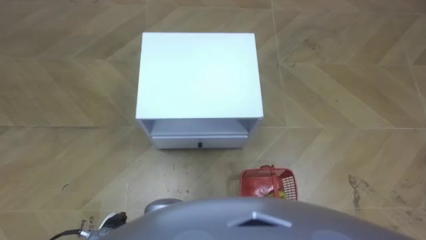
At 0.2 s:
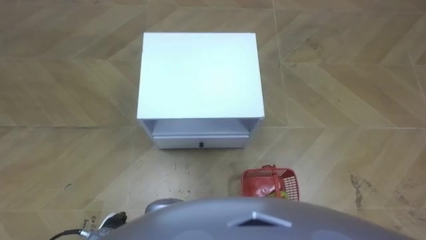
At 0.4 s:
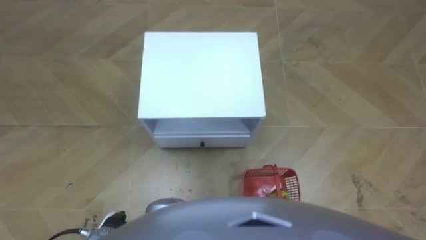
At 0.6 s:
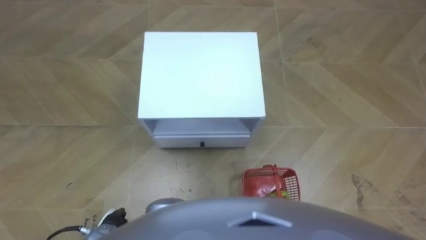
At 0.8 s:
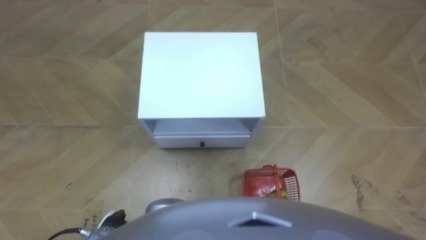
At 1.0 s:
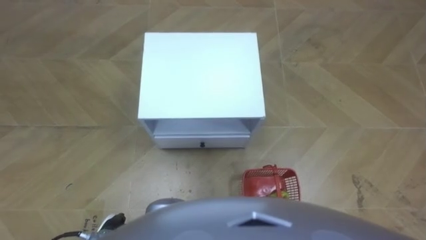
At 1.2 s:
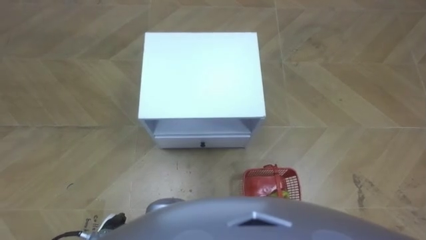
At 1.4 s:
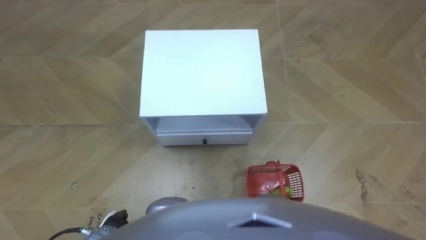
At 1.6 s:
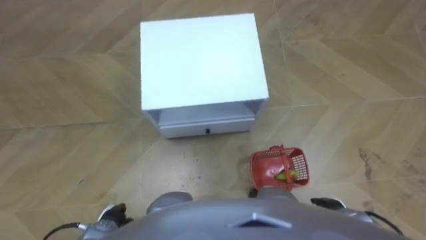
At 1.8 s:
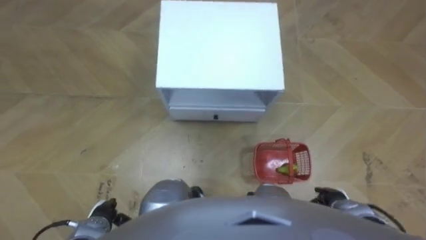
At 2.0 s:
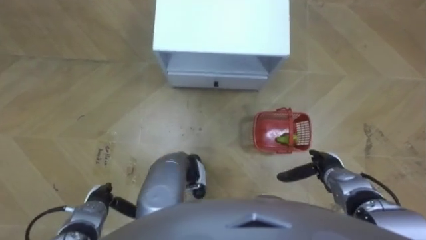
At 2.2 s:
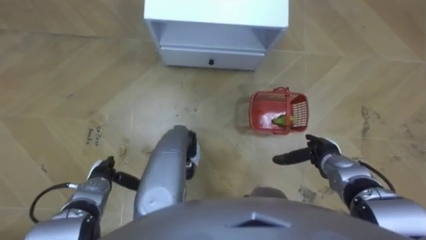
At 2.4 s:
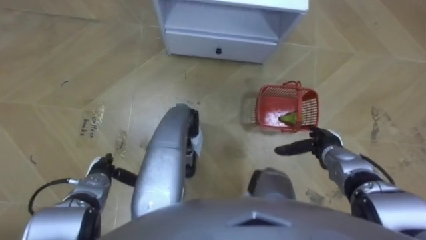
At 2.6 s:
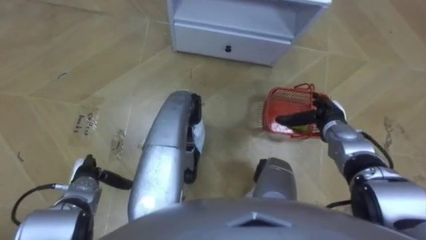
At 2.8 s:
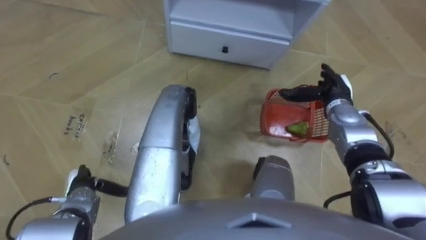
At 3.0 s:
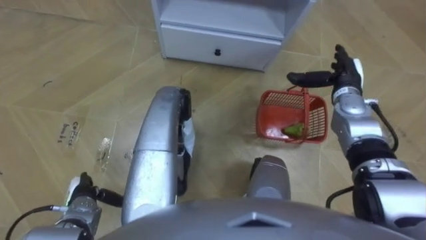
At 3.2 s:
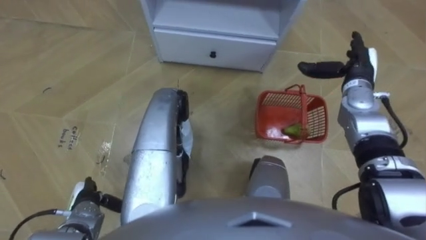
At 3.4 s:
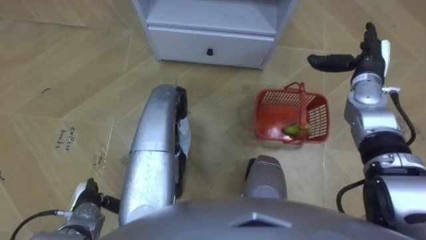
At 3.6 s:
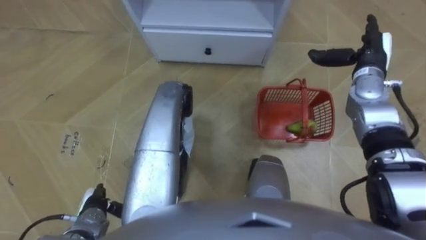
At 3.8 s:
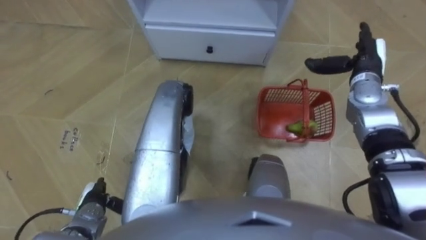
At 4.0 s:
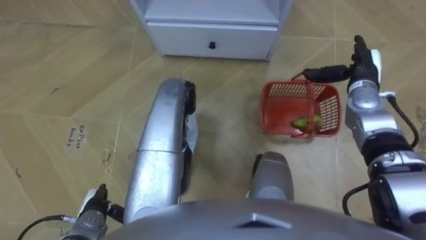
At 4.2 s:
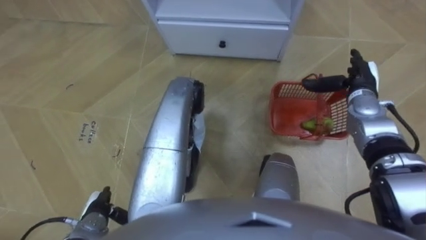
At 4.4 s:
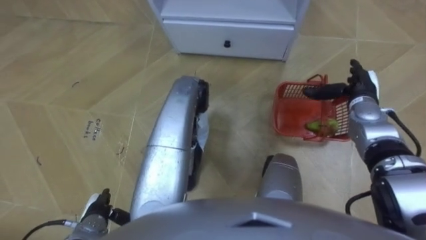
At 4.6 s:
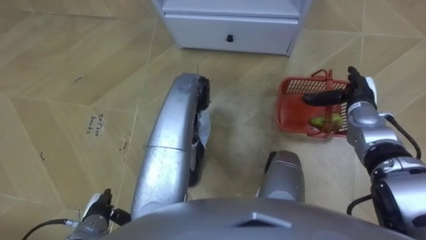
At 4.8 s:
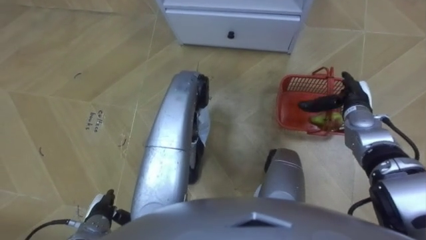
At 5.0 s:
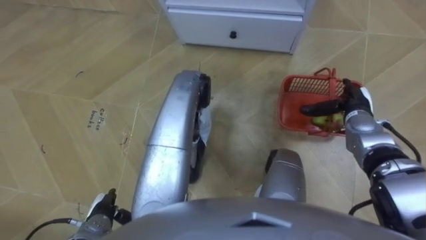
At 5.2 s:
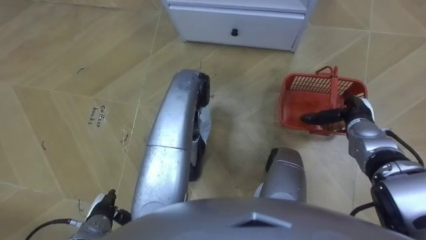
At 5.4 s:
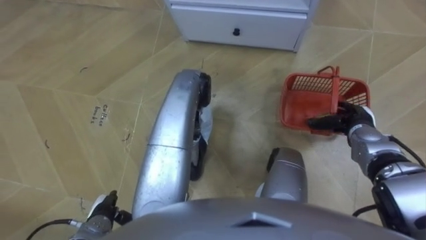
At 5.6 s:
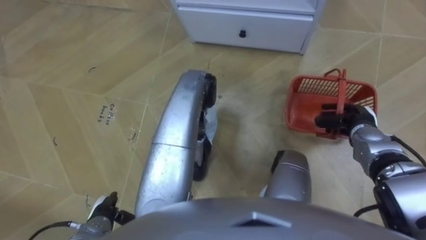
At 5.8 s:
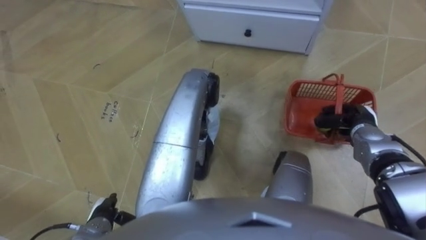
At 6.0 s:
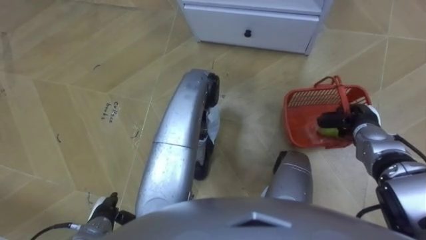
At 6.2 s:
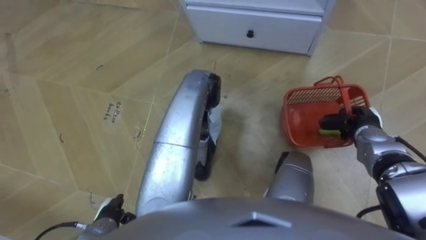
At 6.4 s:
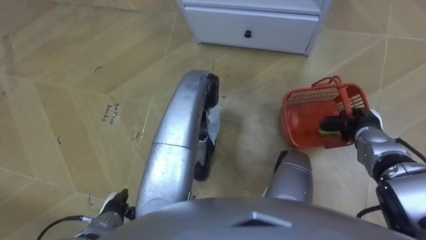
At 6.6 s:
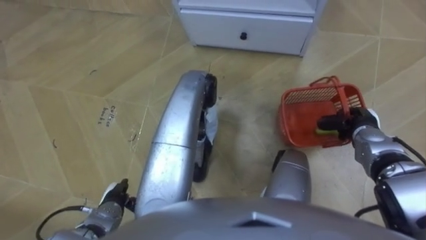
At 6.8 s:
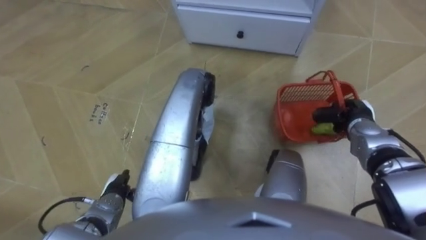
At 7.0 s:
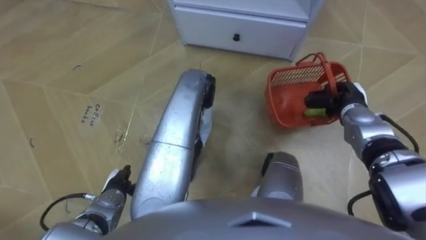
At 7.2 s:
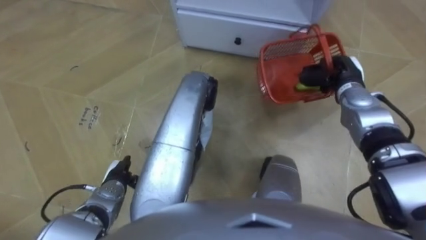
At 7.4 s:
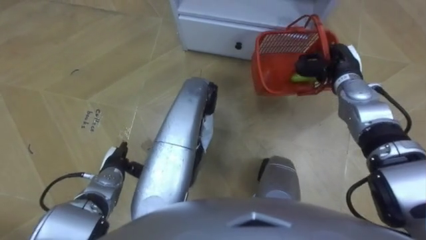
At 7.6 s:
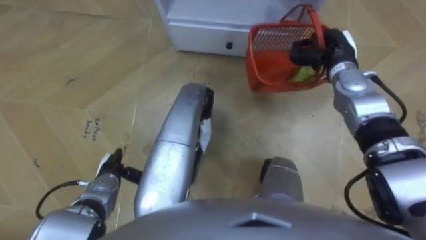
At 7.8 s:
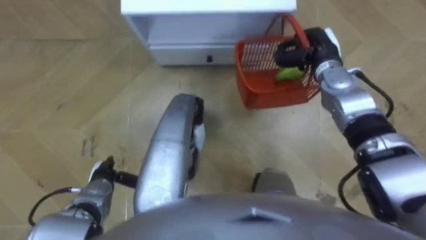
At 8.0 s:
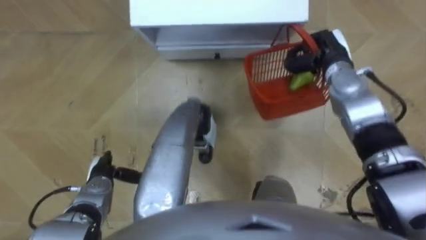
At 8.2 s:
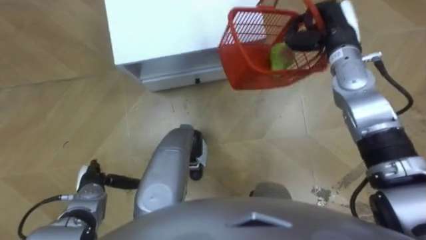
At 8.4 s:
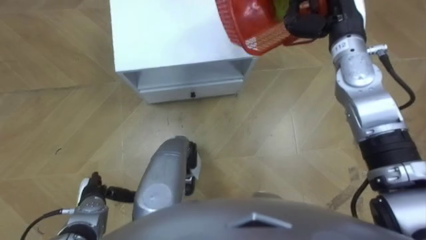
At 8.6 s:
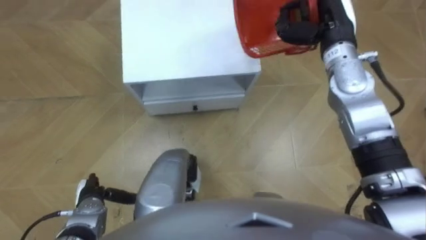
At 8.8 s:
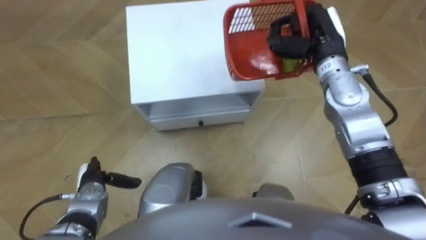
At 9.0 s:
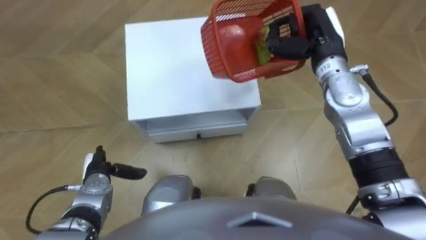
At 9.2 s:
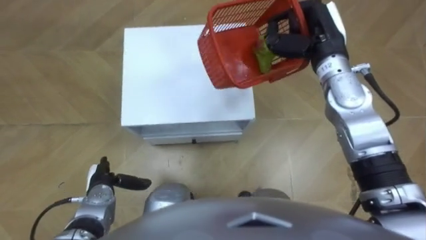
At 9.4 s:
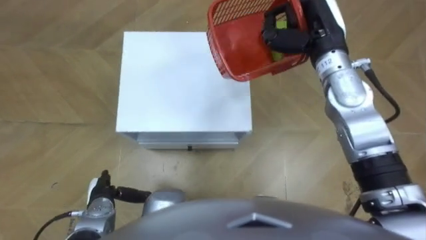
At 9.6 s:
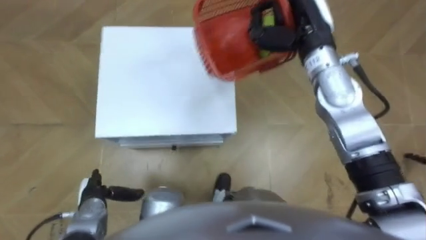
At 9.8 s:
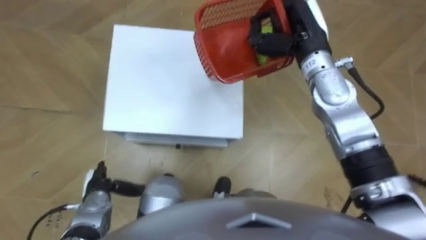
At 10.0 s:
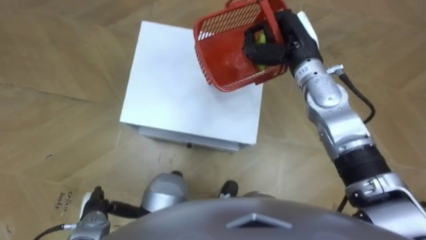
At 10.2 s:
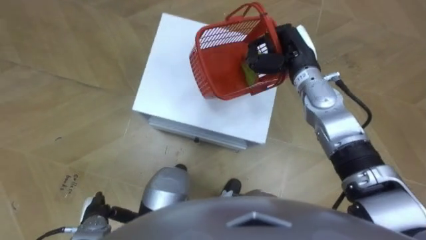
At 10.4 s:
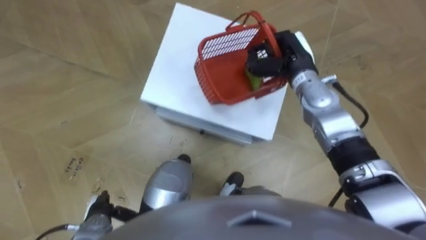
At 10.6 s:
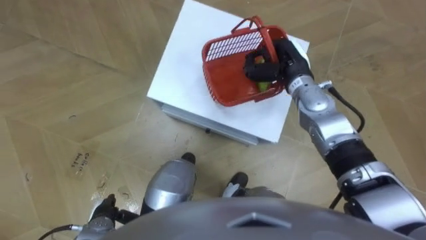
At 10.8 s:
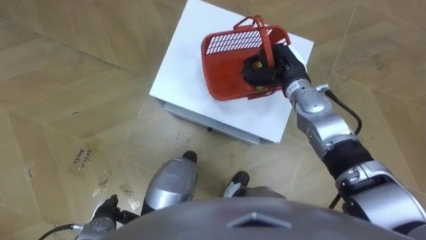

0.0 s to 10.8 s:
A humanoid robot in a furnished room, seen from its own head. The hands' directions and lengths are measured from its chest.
Task of the whole recording: Pick up the fruit basket from the floor and place it on the cabinet.
1.6 to 3.0 s: The left hand heads forward and to the left, covering approximately 10 cm; the right hand moves forward and upward, roughly 30 cm.
3.0 to 4.6 s: The left hand moves some 5 cm.
4.6 to 6.2 s: The right hand shifts roughly 5 cm backward, and closes.
6.2 to 7.8 s: The left hand heads forward, covering roughly 10 cm. The right hand travels forward, to the left and upward by roughly 20 cm.
7.8 to 9.2 s: The right hand shifts about 10 cm upward.
9.2 to 10.8 s: The right hand is displaced downward by about 10 cm. The left hand is displaced backward by about 10 cm.

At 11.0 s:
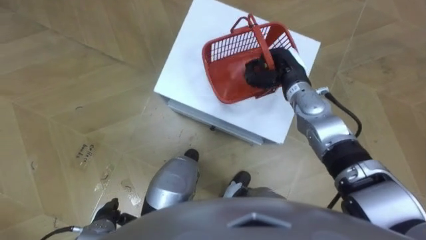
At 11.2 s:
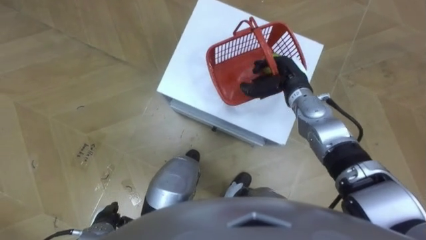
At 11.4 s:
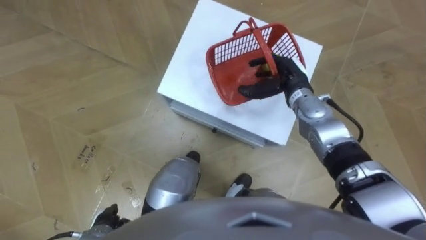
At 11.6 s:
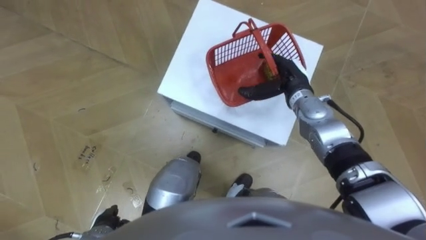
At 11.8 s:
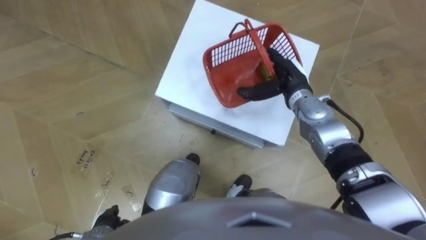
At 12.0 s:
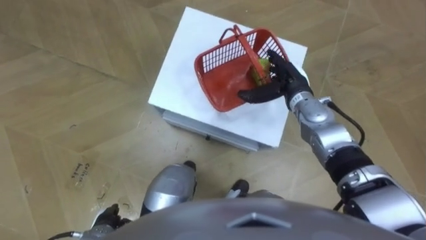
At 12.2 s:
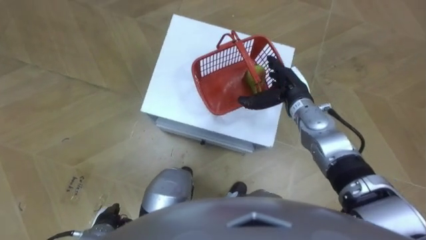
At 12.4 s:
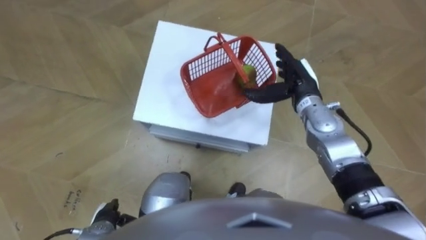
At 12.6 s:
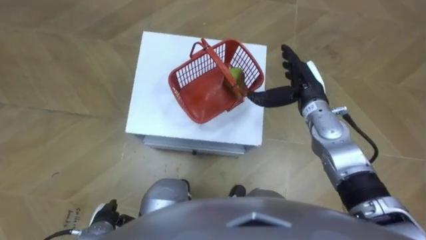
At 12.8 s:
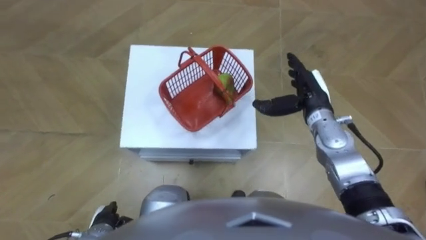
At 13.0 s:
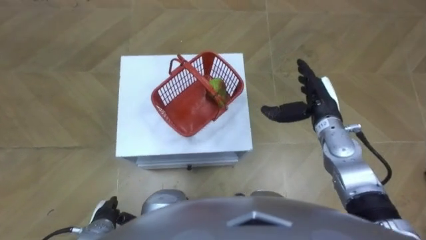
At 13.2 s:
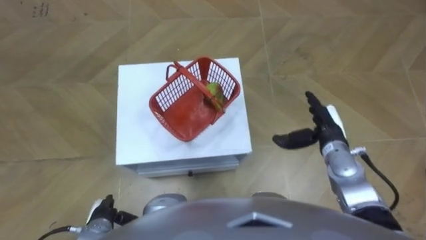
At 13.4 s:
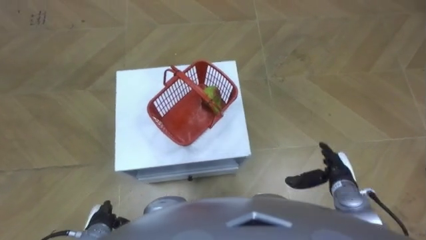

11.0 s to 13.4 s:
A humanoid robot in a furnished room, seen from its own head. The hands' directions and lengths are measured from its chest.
Task of the whole recording: Pick up the fruit basket from the floor and place it on the cabinet.
11.0 to 12.2 s: The right hand opens.
12.2 to 13.4 s: The right hand shifts roughly 20 cm backward, to the right and downward.

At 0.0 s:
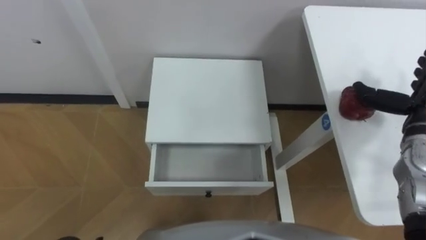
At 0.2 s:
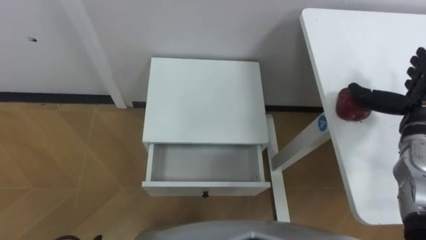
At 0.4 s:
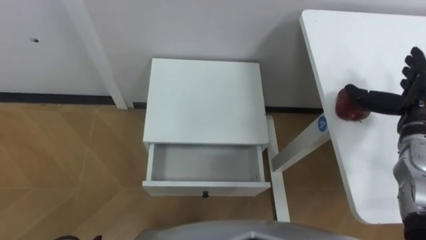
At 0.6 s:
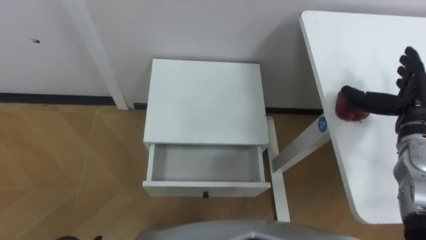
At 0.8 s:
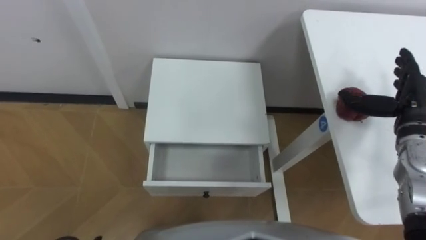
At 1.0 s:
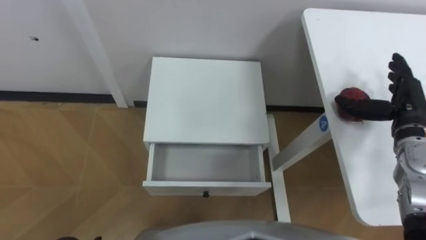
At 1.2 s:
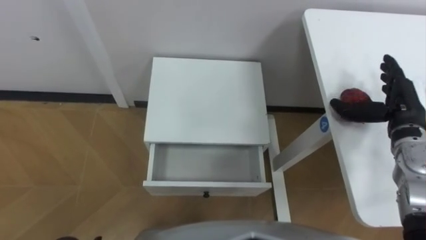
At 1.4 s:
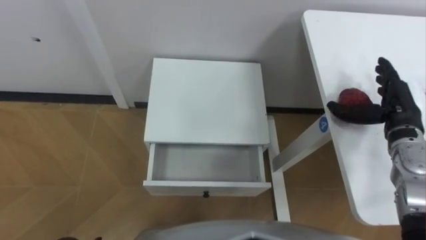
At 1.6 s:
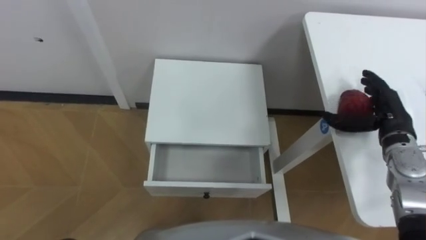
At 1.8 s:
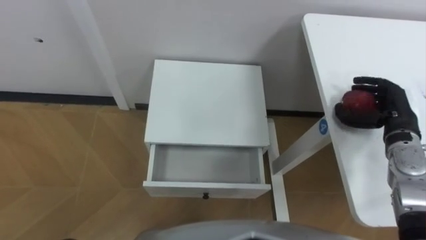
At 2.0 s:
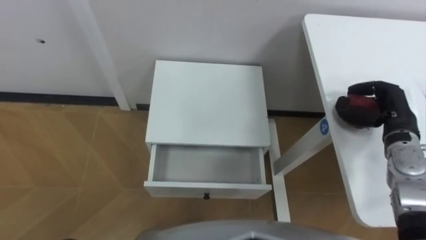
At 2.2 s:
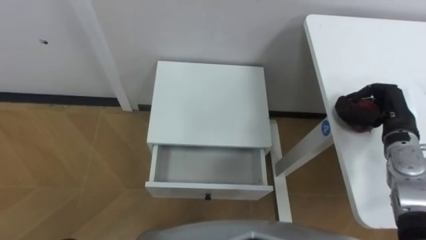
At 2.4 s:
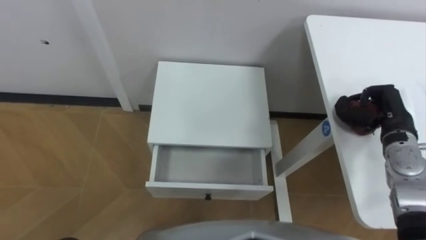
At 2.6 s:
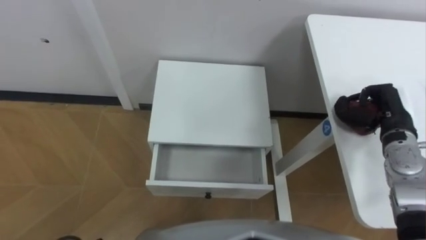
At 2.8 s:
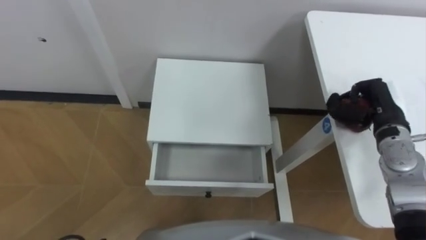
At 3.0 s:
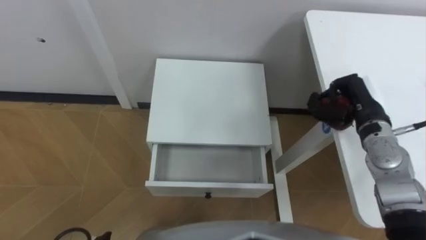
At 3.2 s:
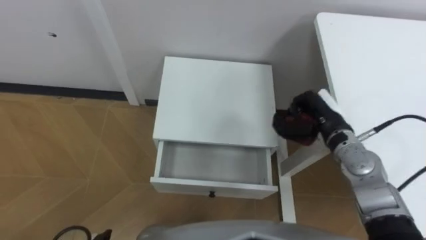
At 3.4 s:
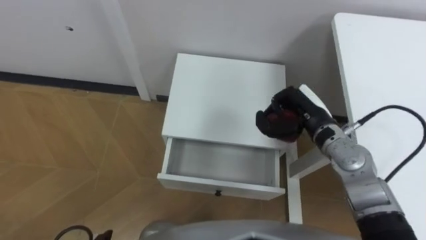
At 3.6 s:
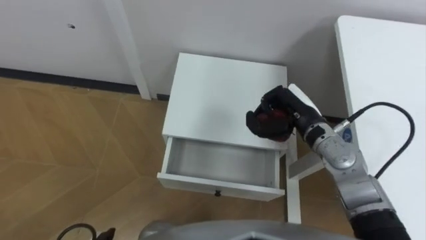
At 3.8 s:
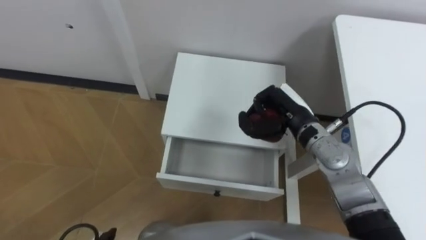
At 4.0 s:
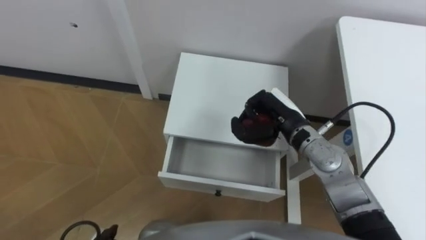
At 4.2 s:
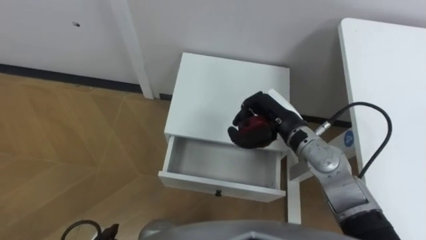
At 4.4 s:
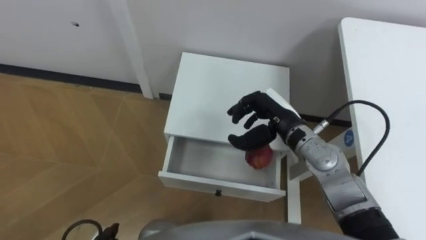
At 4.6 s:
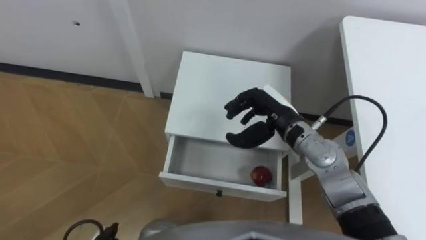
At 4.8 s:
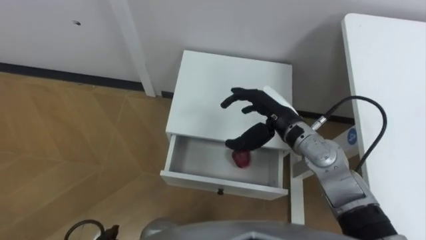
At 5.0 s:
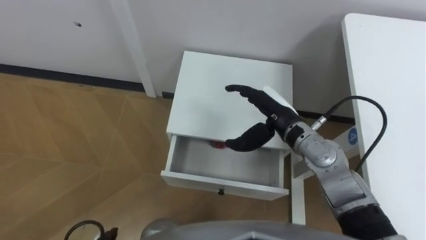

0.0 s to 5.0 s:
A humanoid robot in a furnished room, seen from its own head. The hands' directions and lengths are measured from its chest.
Task of the whole recording: Pick up the apple from the table, put it in the drawer, and close the drawer with leg.
0.0 to 1.6 s: The right hand changes place by approximately 5 cm.
1.6 to 3.4 s: The right hand shifts roughly 15 cm to the left, and closes its fingers.
3.4 to 5.0 s: The right hand goes approximately 5 cm to the left, and opens.
